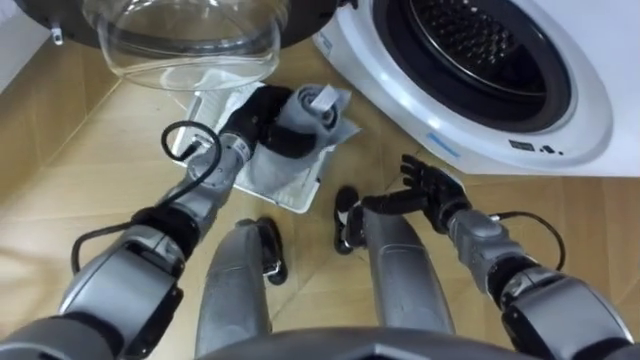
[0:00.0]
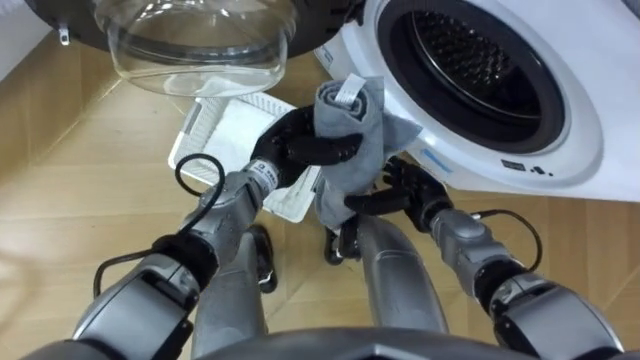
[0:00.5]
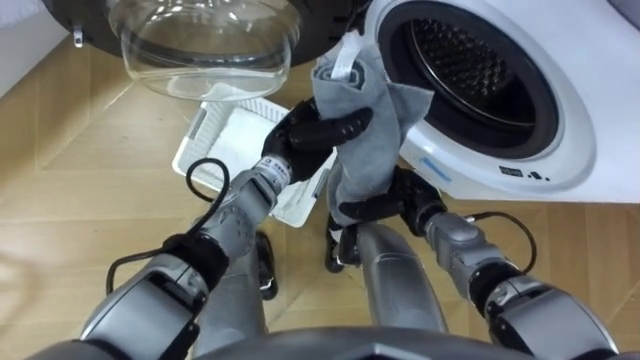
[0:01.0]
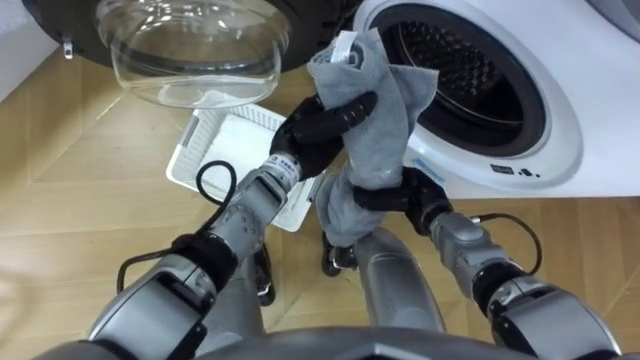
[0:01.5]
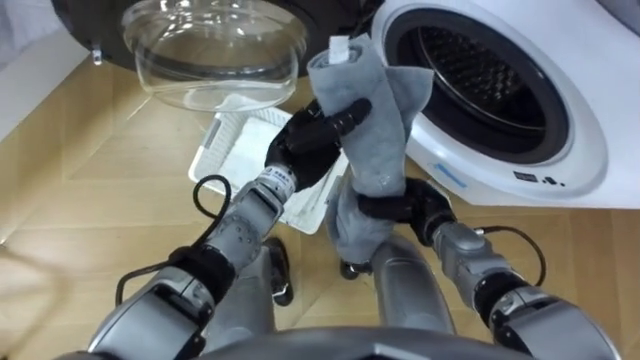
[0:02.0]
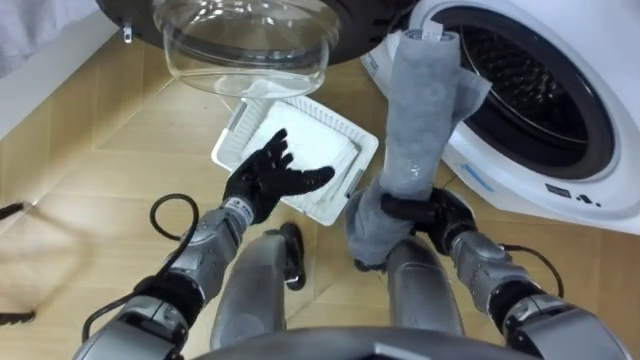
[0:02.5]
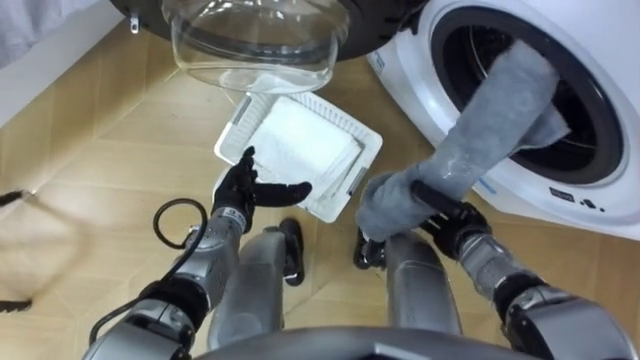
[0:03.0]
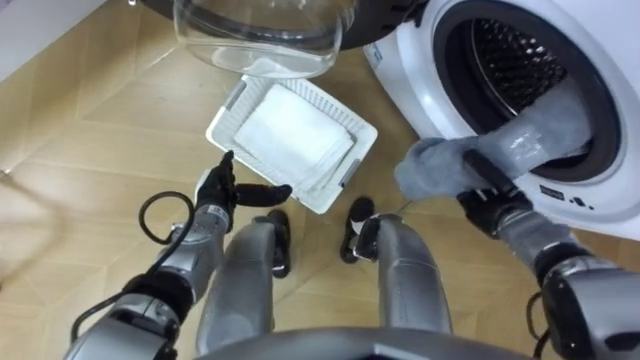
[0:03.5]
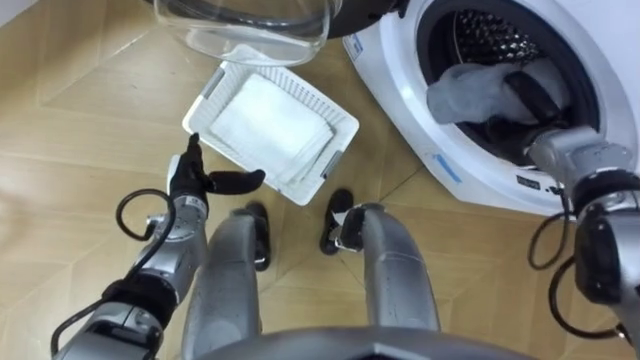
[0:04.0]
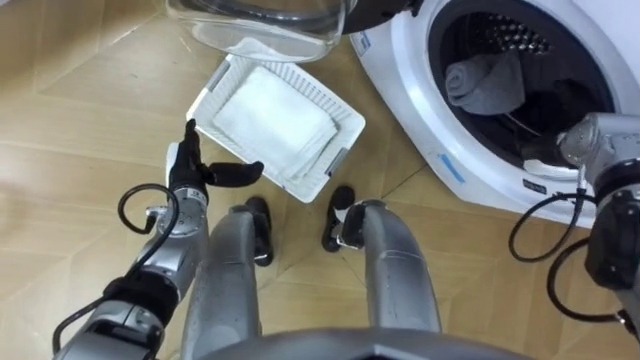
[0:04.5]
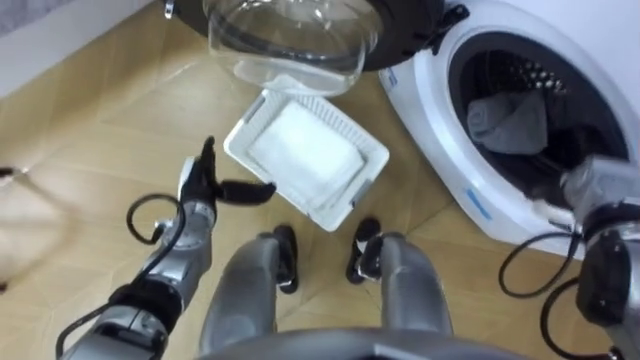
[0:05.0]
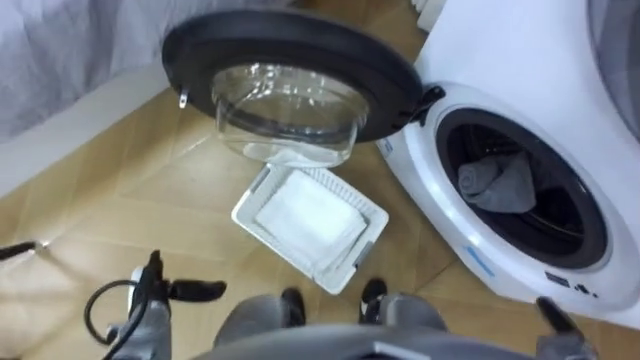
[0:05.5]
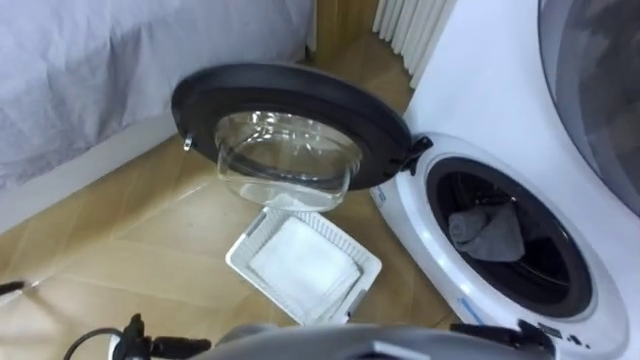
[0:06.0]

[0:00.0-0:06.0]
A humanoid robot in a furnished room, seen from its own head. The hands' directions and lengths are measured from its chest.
Task of the whole recording: Take the towel from the basket and put it into the washing machine.
0:00.0 to 0:02.0: The left hand goes about 10 cm to the right. The right hand closes its fingers.
0:02.0 to 0:04.0: The right hand goes approximately 20 cm to the right, forward and upward, while the left hand goes roughly 15 cm to the left, and opens up.
0:04.0 to 0:06.0: The left hand travels backward and downward by approximately 25 cm.

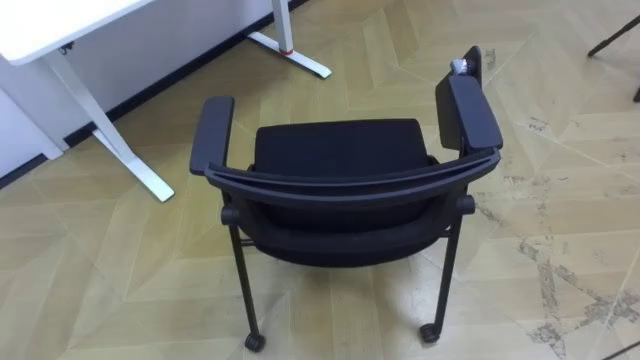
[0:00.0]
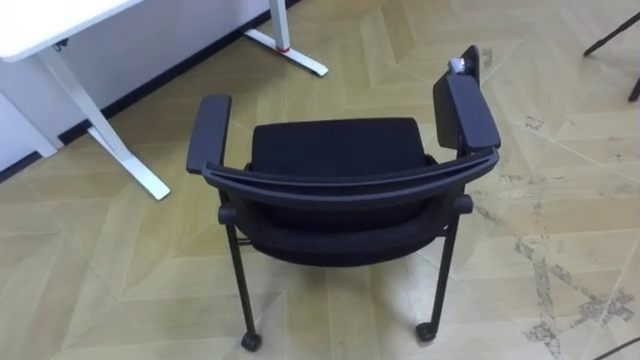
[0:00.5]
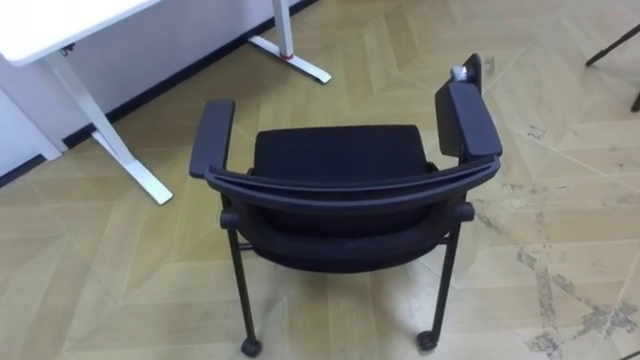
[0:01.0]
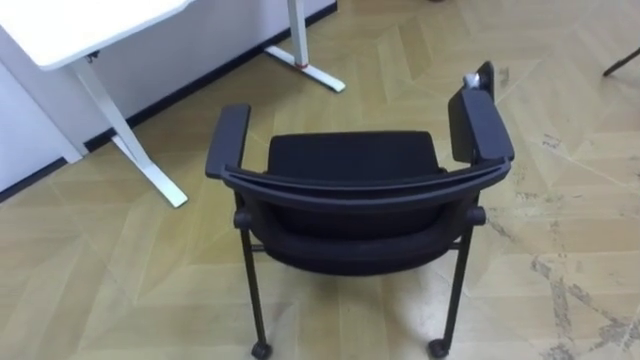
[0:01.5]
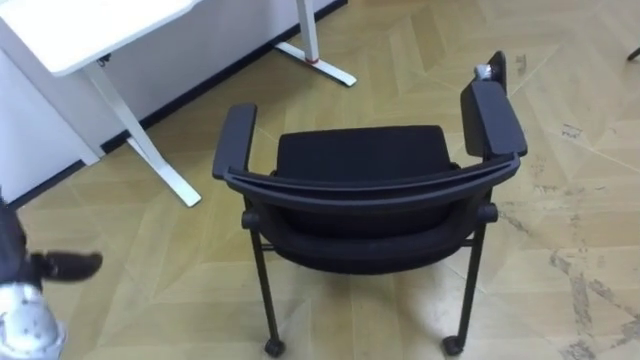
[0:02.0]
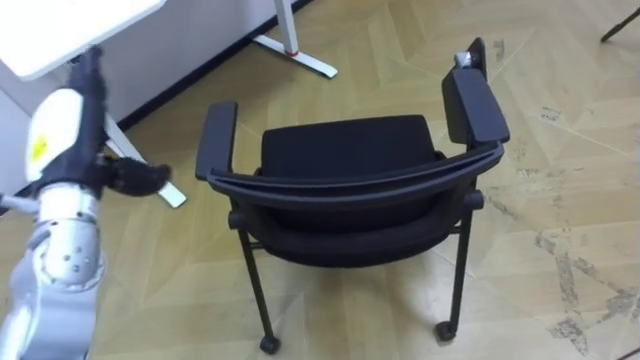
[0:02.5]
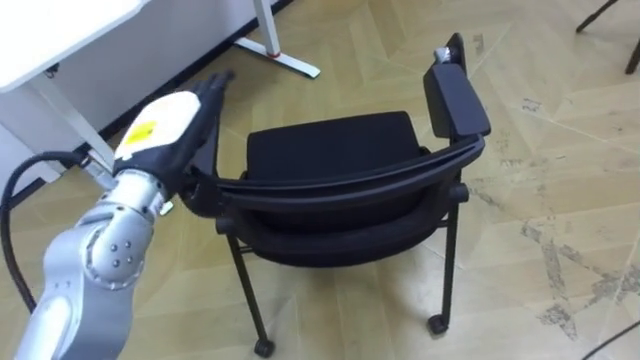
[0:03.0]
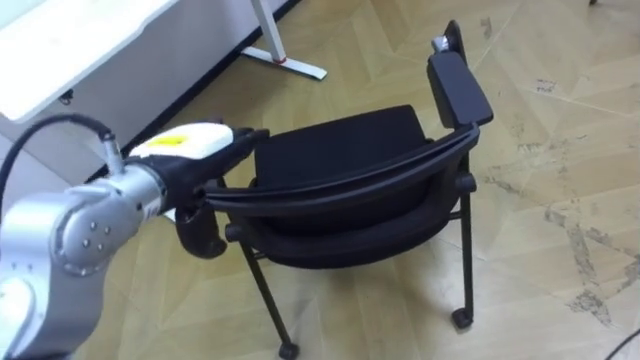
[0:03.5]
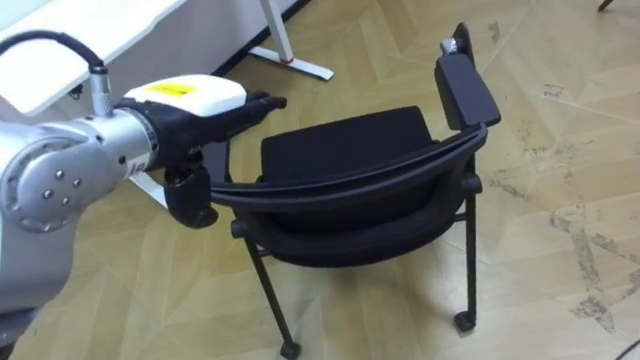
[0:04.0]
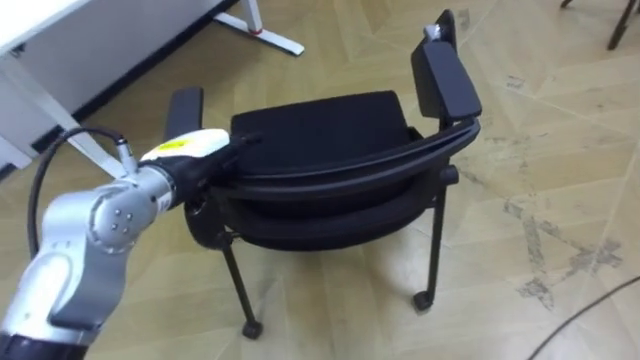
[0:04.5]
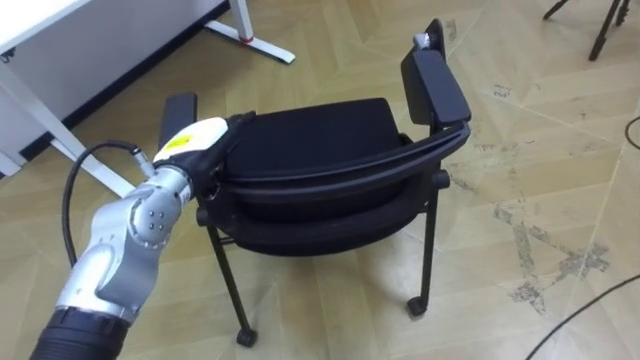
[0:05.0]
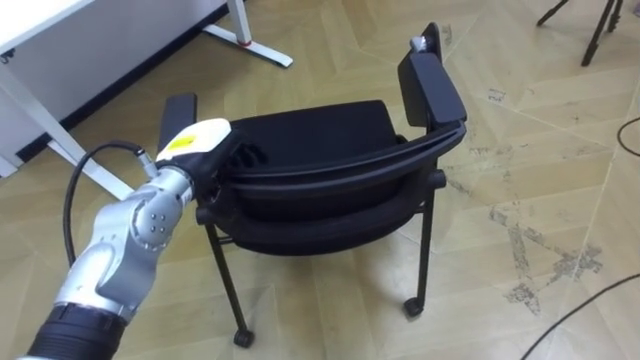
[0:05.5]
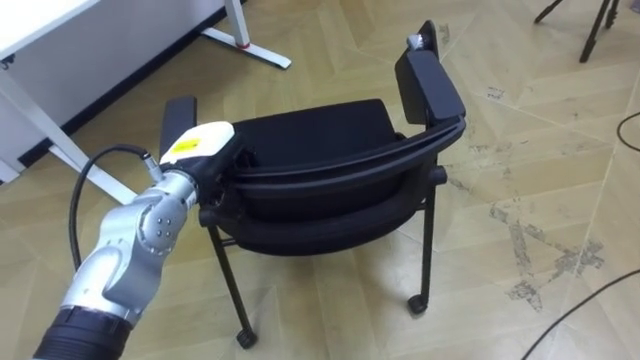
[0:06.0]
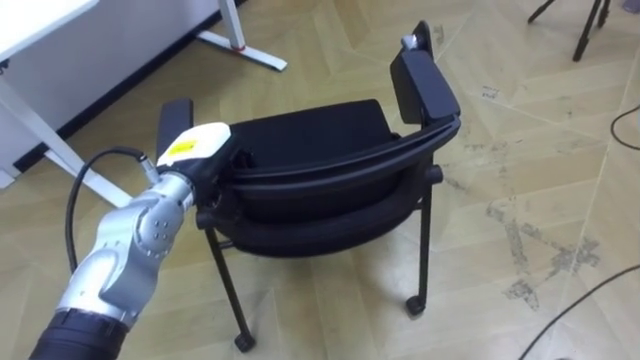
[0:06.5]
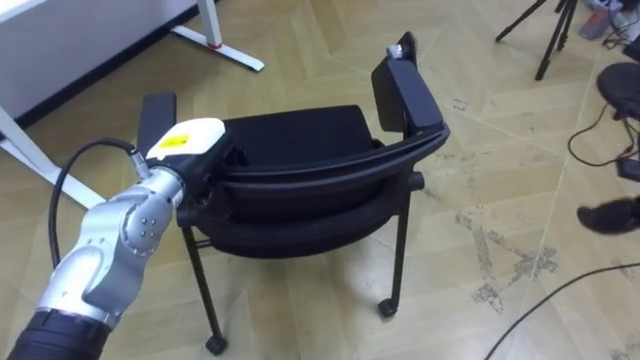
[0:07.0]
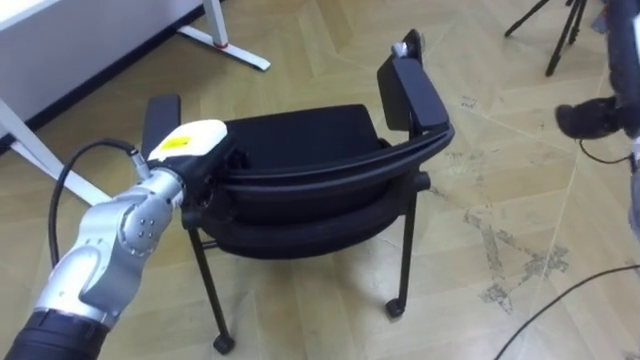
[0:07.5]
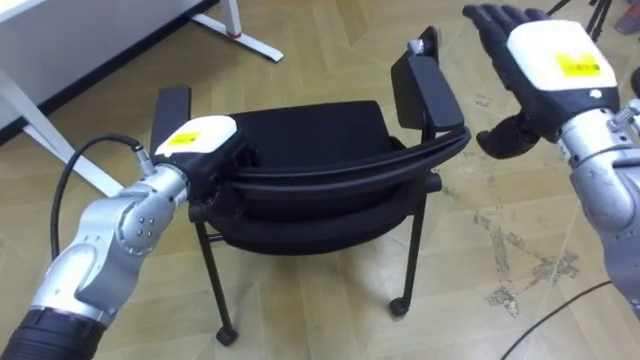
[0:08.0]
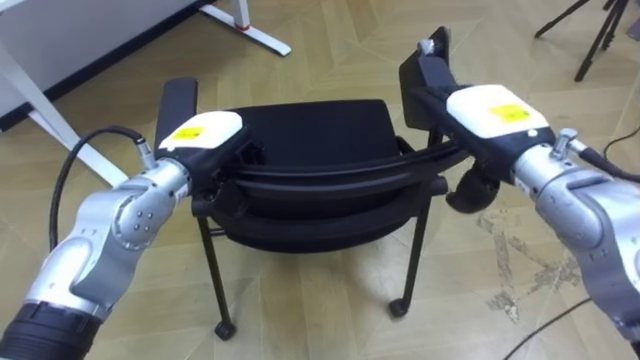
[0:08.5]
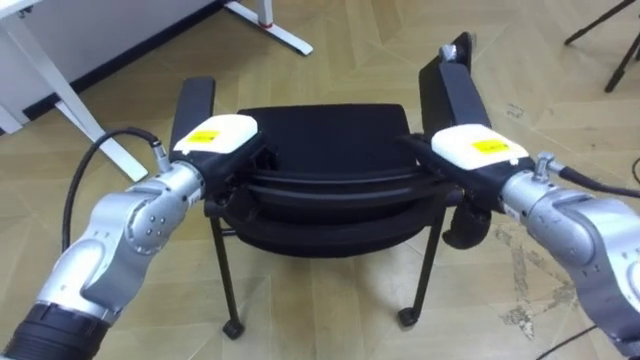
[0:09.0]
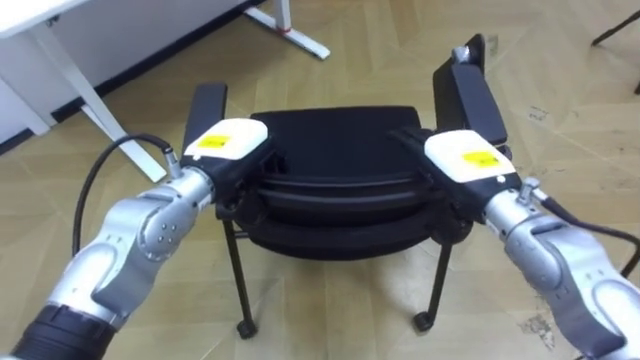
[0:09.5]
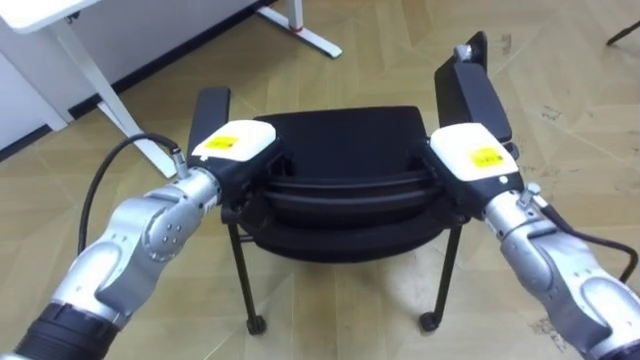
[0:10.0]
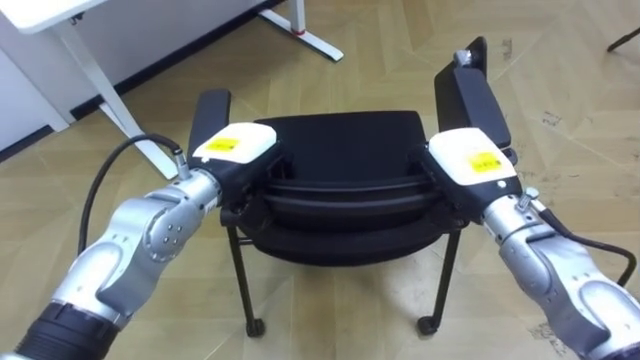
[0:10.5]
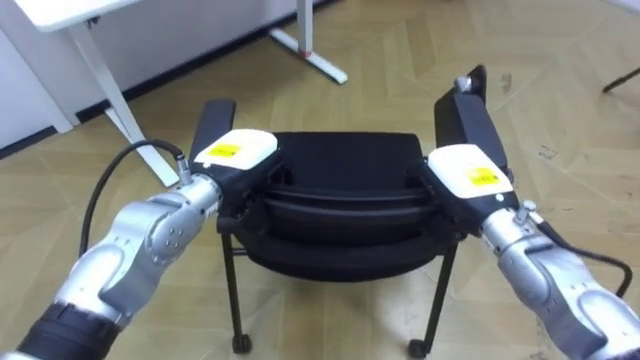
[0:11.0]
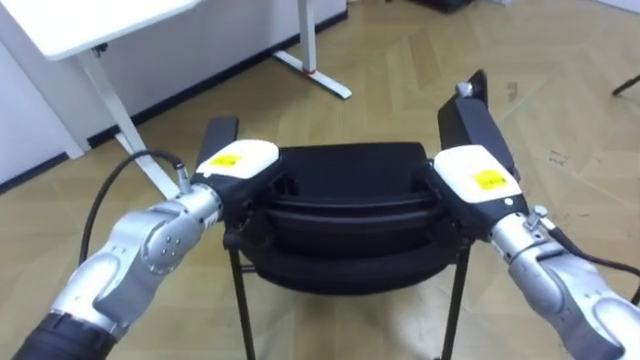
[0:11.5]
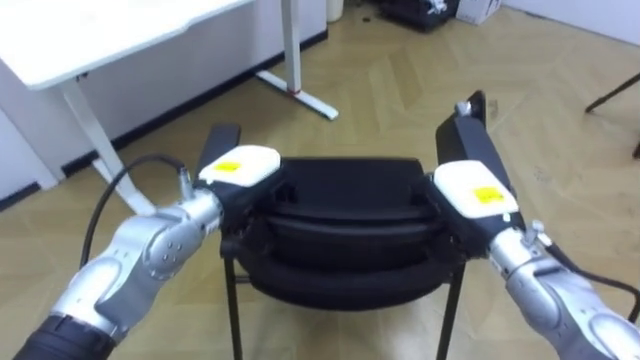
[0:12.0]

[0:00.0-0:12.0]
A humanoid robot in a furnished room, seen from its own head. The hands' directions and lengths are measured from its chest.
Task of the whole recording: Push the chair under the table.
0:02.0 to 0:04.0: The left hand is displaced to the right and upward by about 30 cm.
0:04.0 to 0:06.0: The left hand moves downward and forward, about 15 cm, and closes.
0:08.0 to 0:10.0: The right hand moves downward, about 10 cm, and closes.

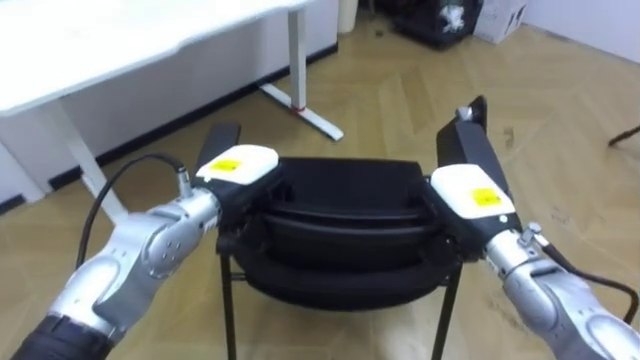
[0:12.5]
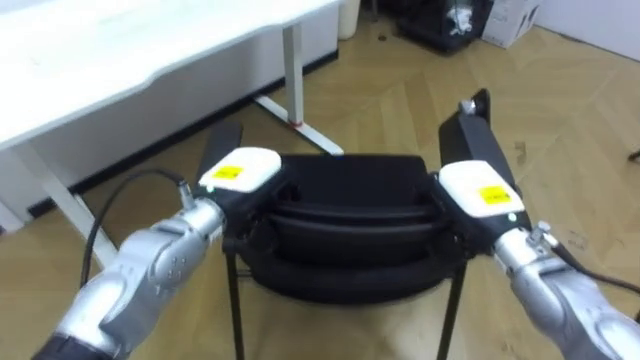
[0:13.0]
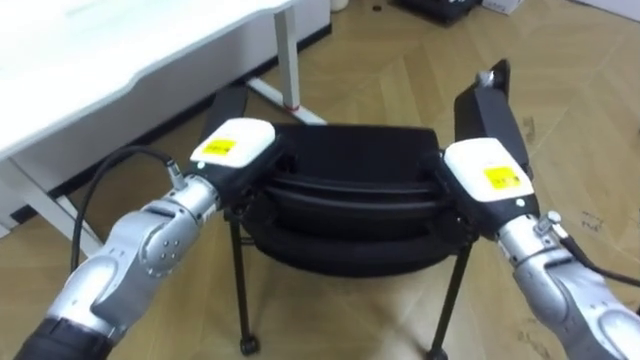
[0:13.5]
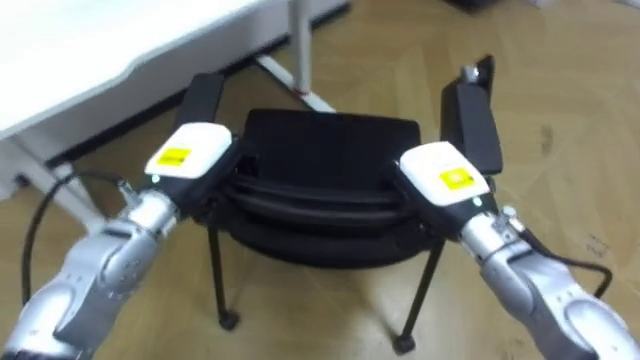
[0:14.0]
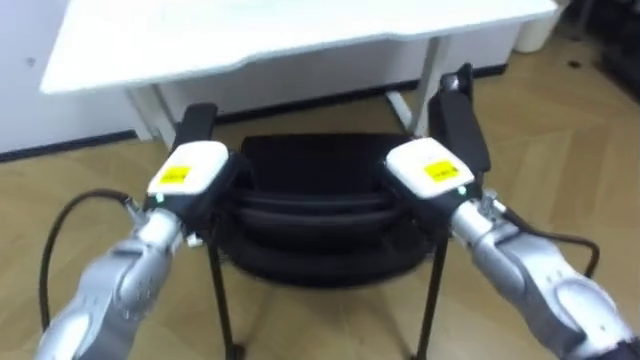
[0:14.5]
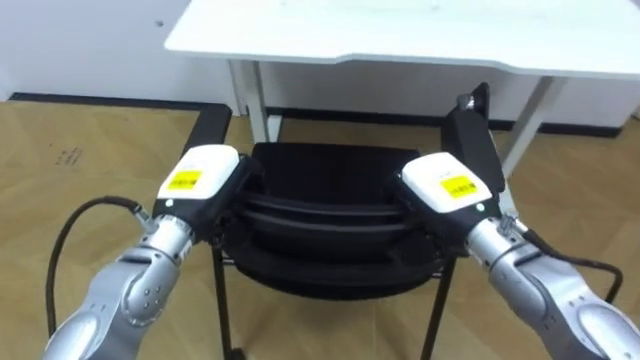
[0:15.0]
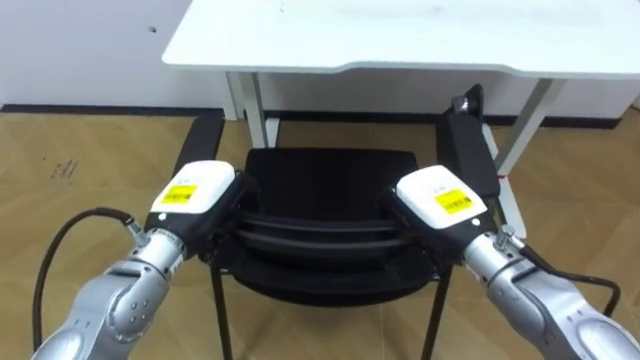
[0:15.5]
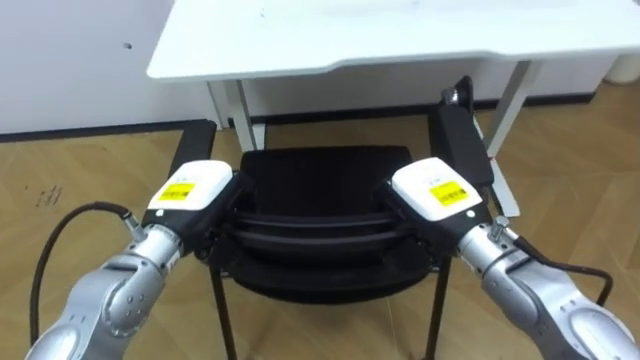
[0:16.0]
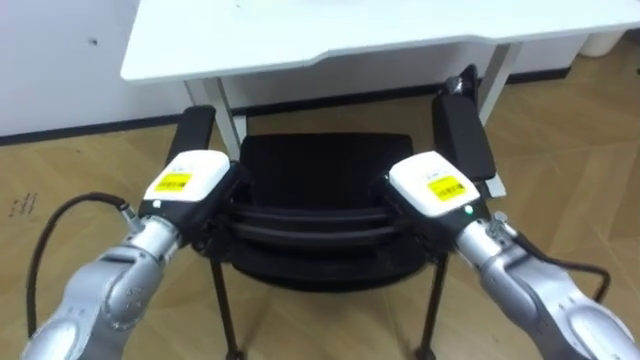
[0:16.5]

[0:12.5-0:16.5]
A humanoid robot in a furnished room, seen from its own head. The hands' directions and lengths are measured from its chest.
Task of the whole recording: Push the chair under the table.
0:12.5 to 0:14.5: The robot rotates roughly 20 degrees to its left. The two hands go about 5 cm to the left.
